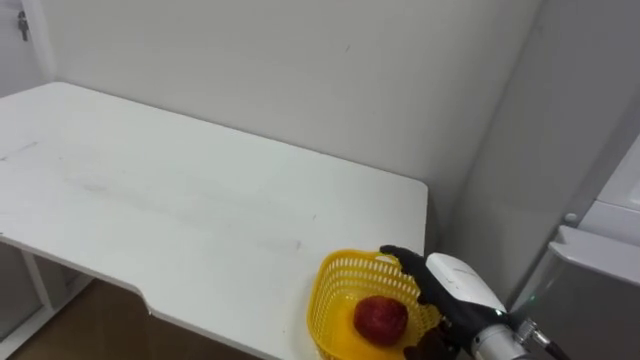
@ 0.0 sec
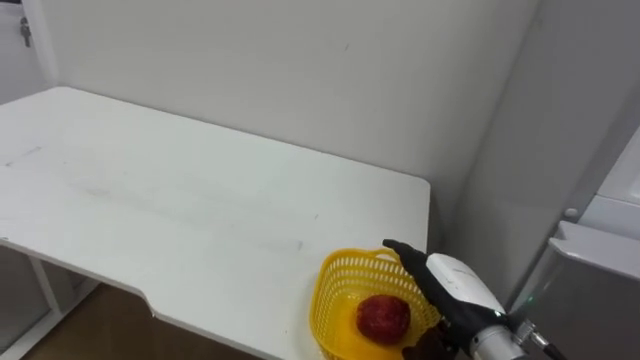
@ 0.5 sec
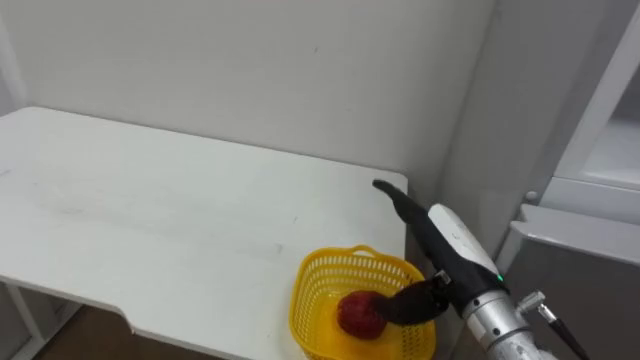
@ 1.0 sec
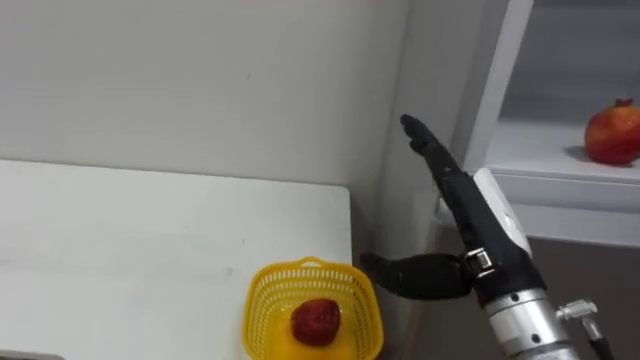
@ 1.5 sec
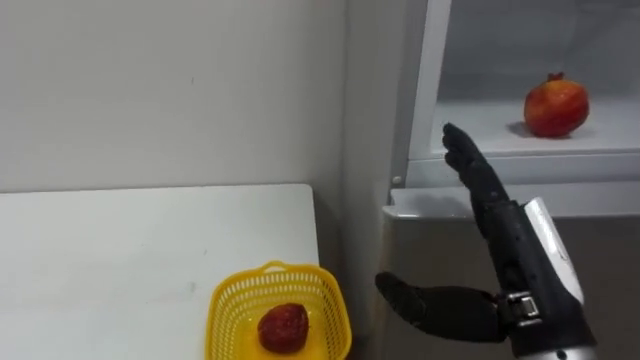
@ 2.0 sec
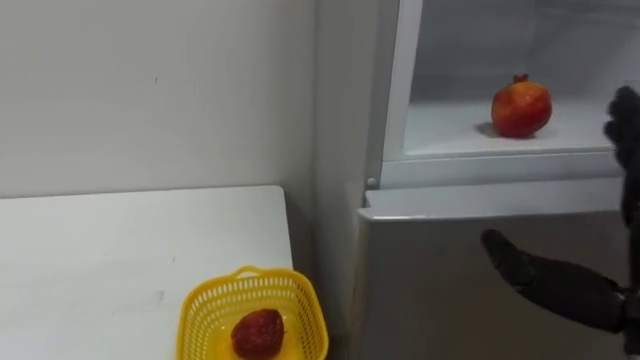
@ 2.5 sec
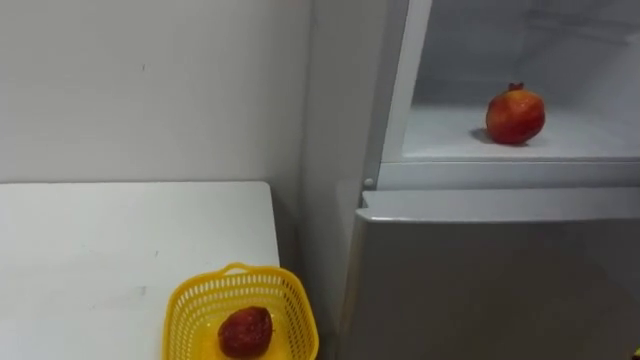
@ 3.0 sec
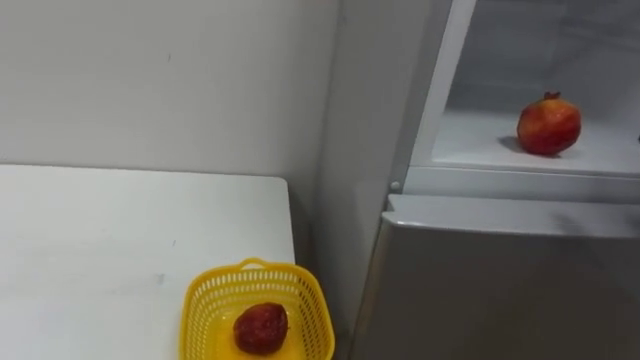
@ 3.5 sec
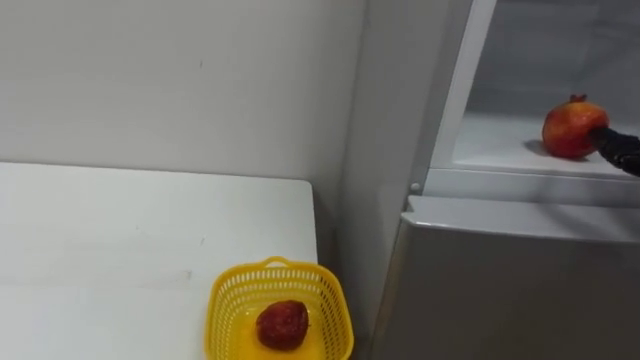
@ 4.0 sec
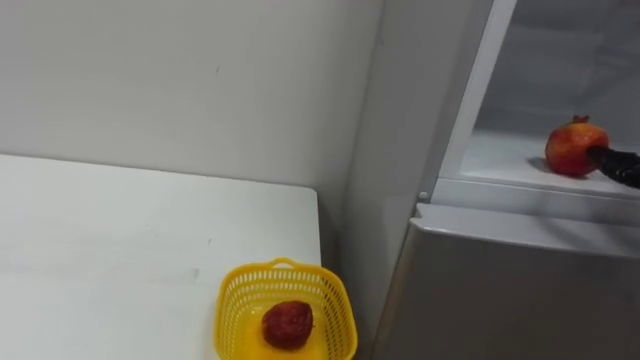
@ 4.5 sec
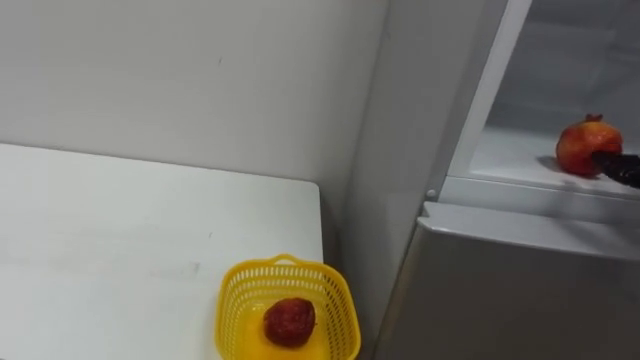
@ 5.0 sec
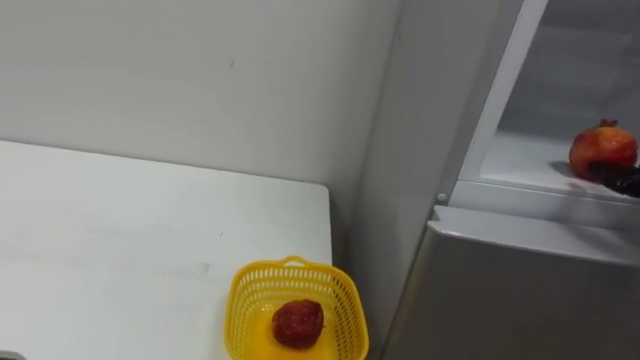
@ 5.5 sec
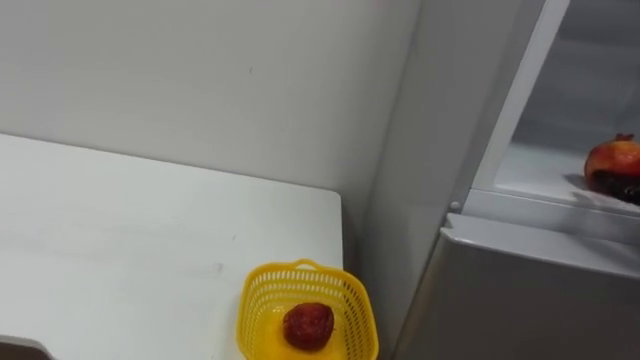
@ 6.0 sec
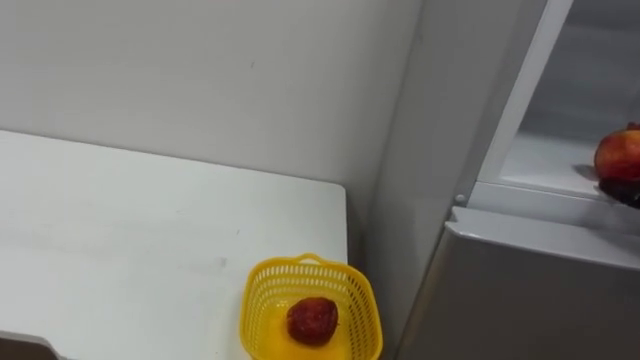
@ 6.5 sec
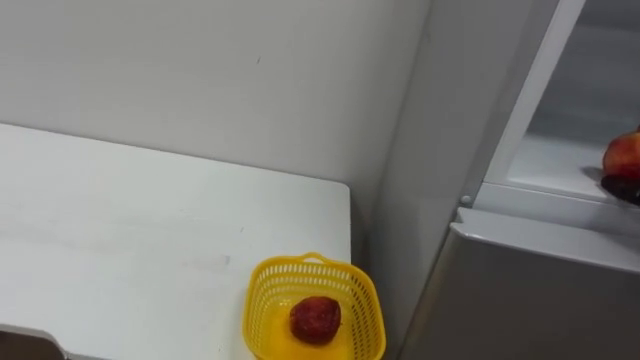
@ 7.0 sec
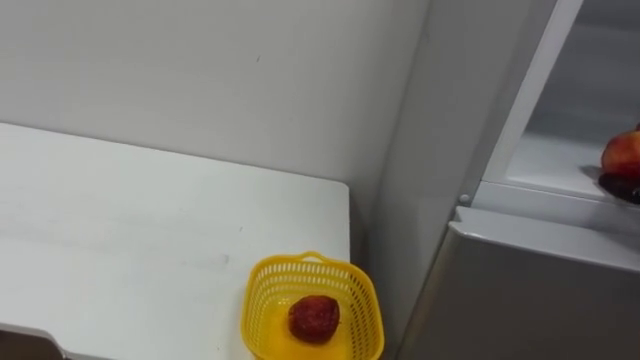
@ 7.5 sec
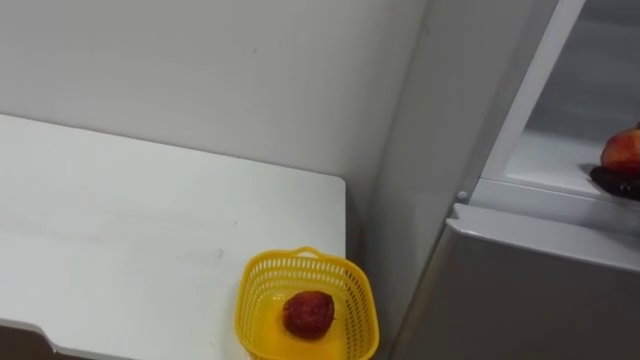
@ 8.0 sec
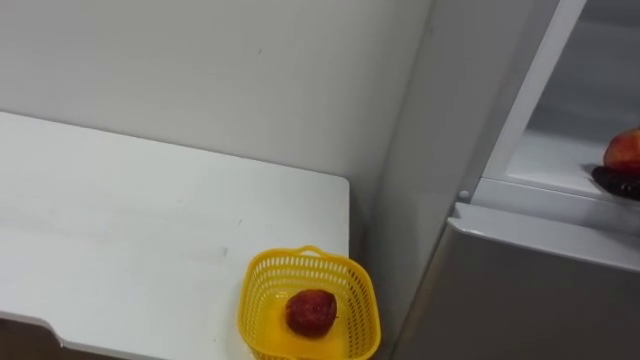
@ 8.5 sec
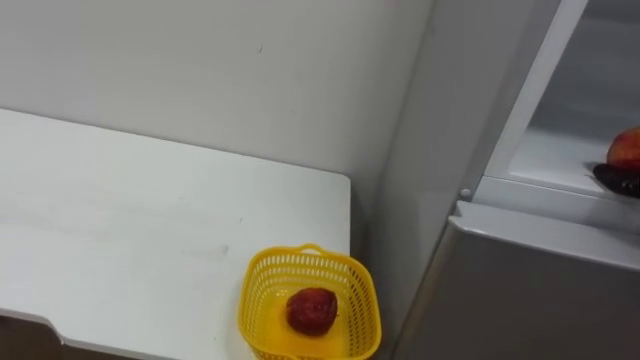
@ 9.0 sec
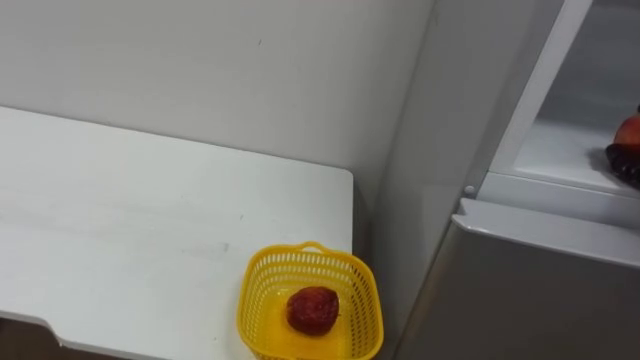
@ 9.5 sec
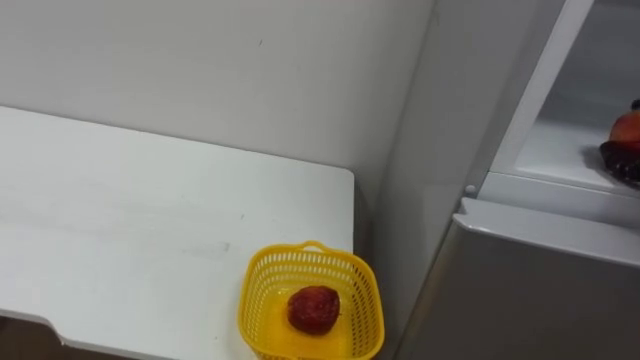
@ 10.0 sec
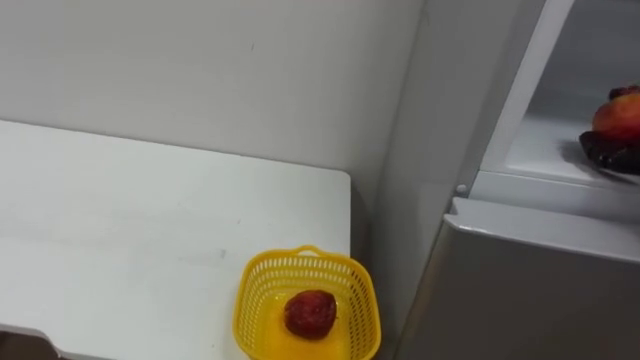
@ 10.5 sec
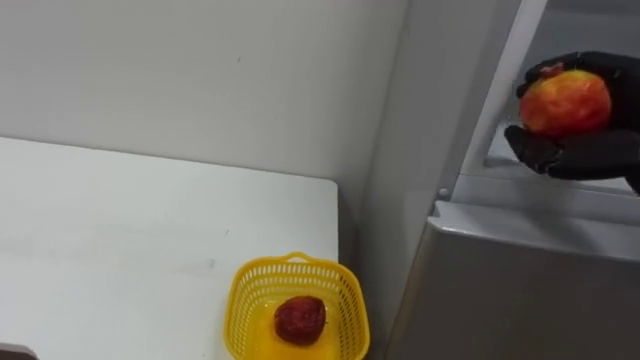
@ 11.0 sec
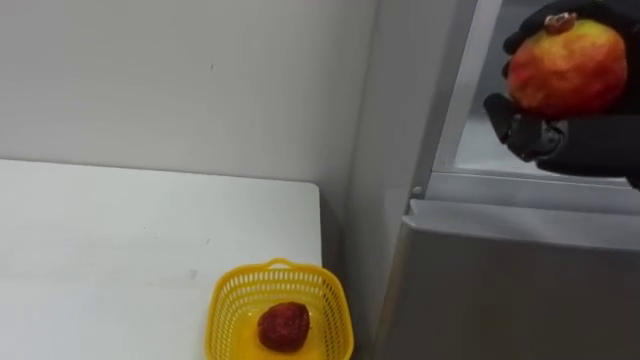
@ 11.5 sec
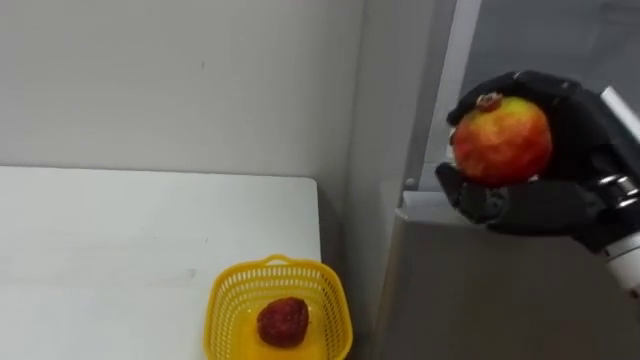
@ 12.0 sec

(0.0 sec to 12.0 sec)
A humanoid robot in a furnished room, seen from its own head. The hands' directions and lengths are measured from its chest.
Task of the whole recording: Open the refrigerator door, take out the apple and the pomegranate, place them in the fruit basket on the left, and close the refrigerator door.
0.0 sec - 2.0 sec: The right hand is displaced upward and backward by about 15 cm.

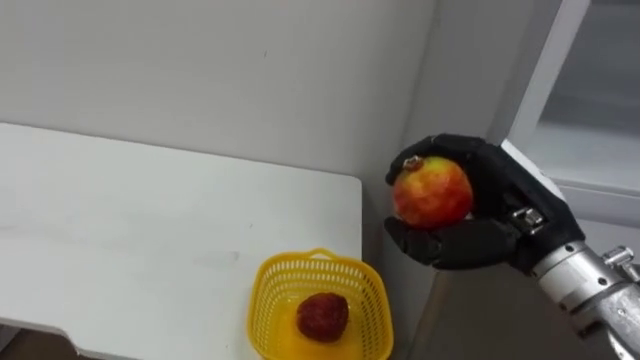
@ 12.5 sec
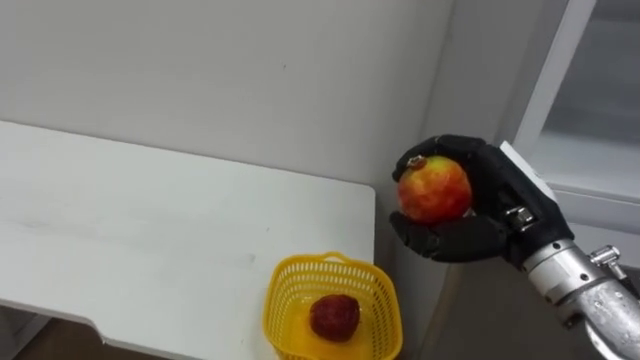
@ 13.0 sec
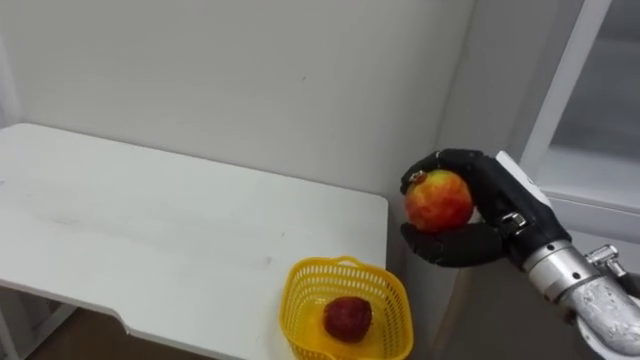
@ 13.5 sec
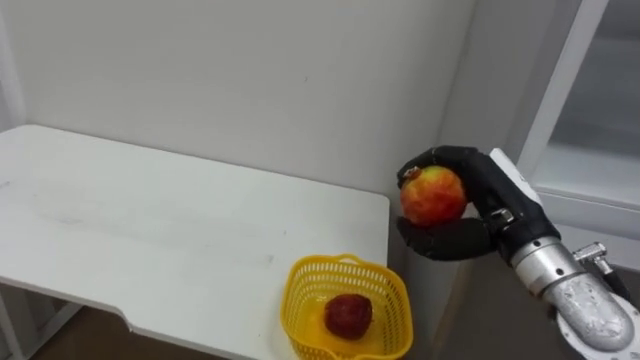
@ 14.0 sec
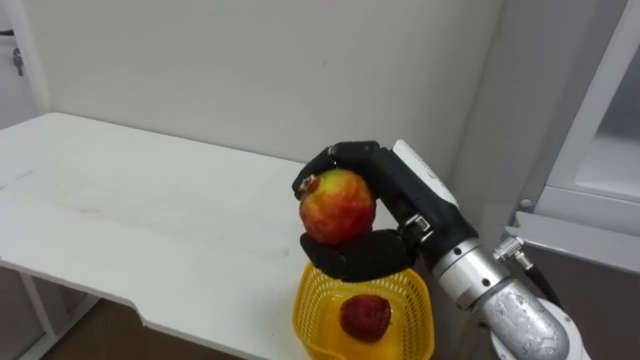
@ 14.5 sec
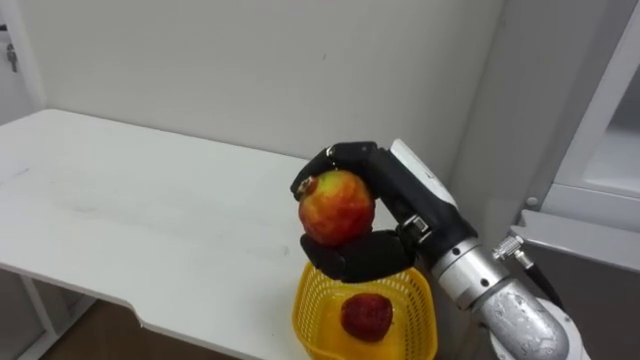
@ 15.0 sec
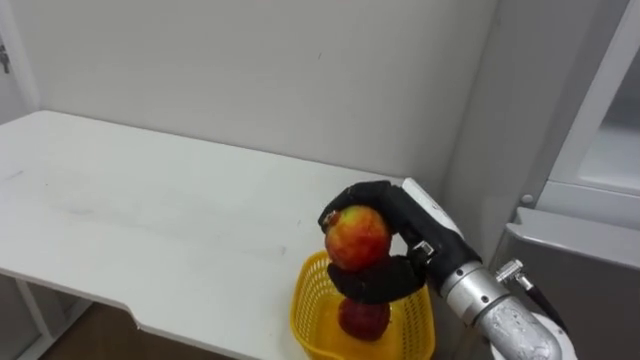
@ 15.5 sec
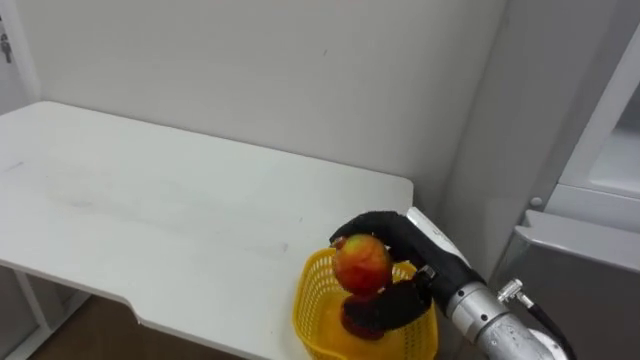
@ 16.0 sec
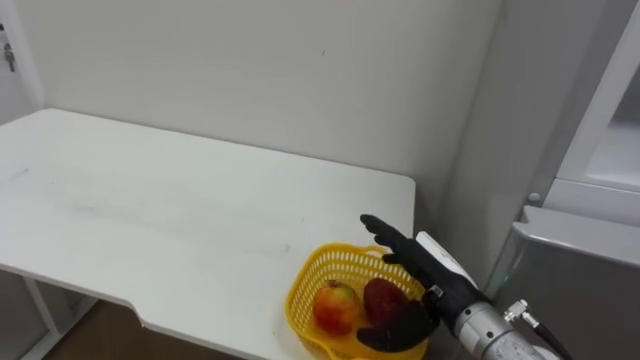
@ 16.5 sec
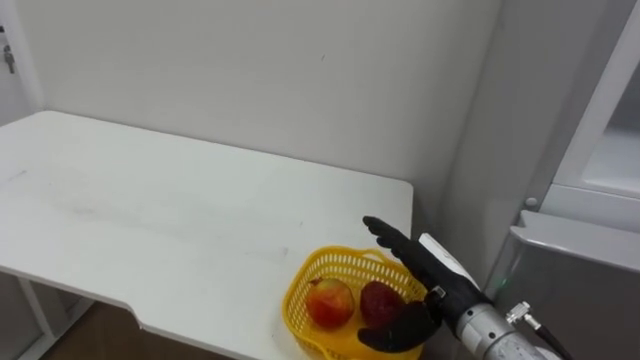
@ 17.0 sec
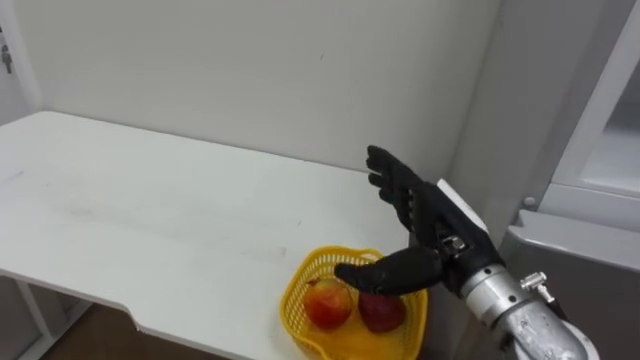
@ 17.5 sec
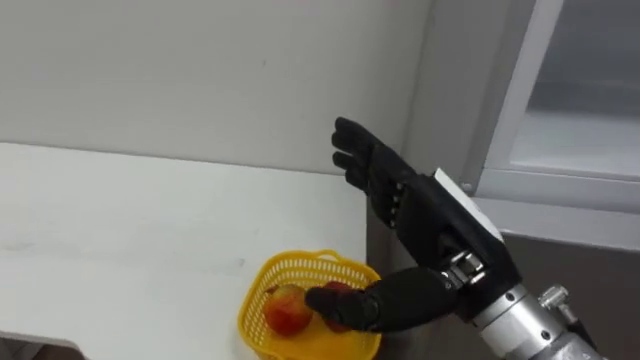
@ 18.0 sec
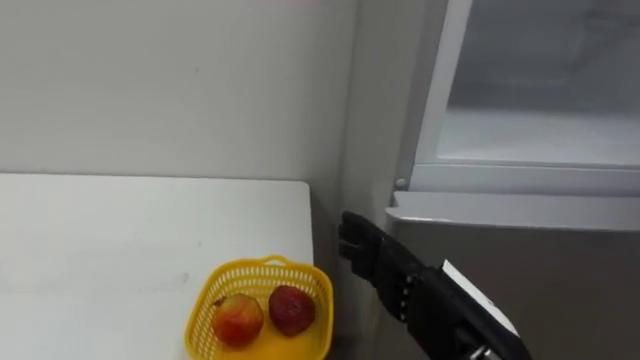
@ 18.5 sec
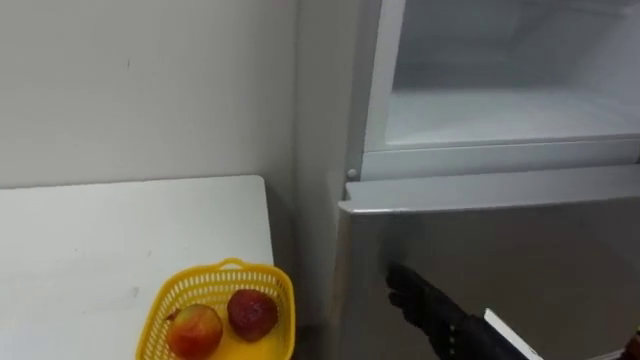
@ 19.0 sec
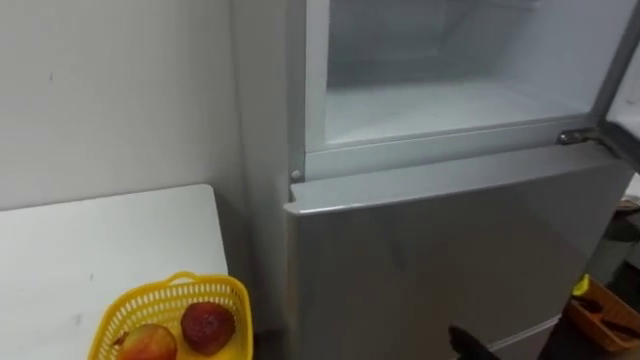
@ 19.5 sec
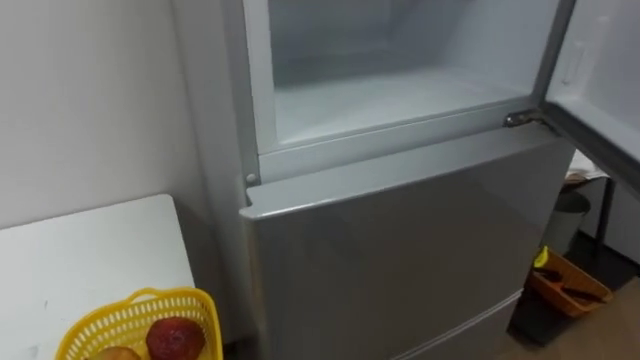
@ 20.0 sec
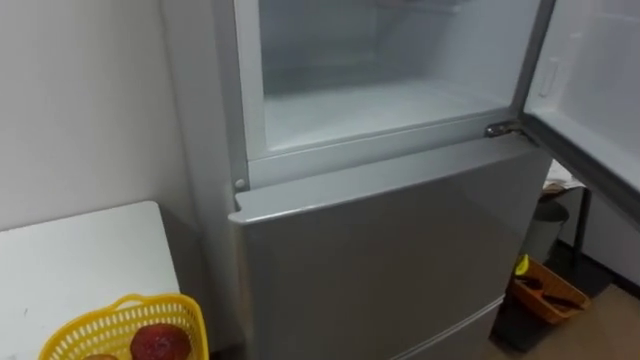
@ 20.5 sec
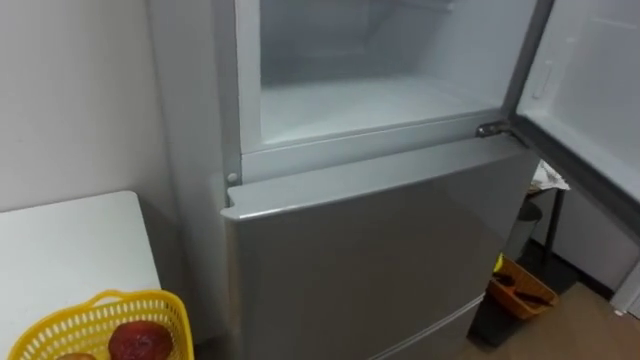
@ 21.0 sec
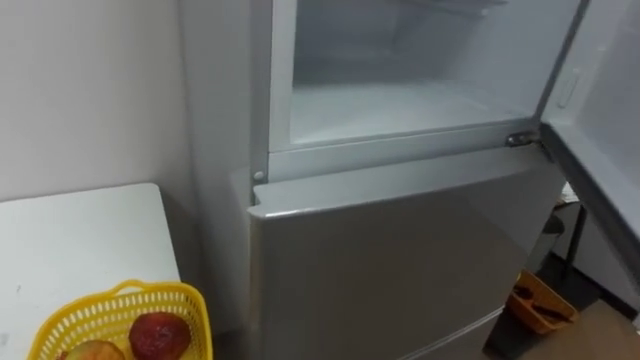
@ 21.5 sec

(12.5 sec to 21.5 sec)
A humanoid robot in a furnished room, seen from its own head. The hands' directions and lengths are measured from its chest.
Task of the whole recording: Open the refrigerator door, take out the apple and the pomegranate, place them in the fruit basket on the left, and close the refrigerator door.
12.5 sec - 14.5 sec: The right hand goes some 10 cm to the left.
14.5 sec - 17.0 sec: The right hand travels downward by approximately 15 cm, and opens its fingers.
